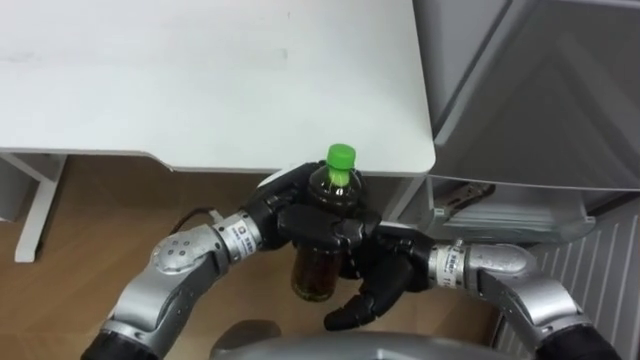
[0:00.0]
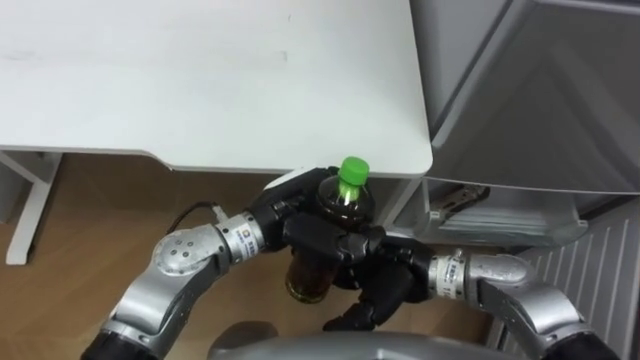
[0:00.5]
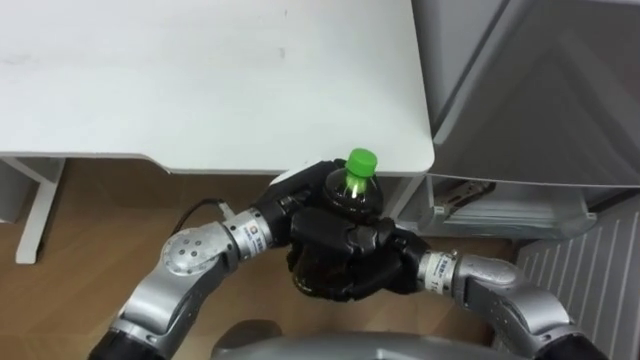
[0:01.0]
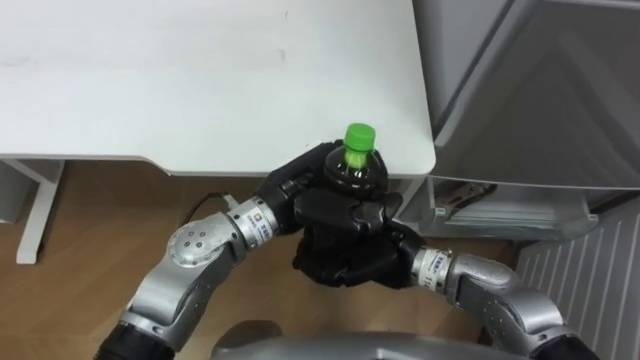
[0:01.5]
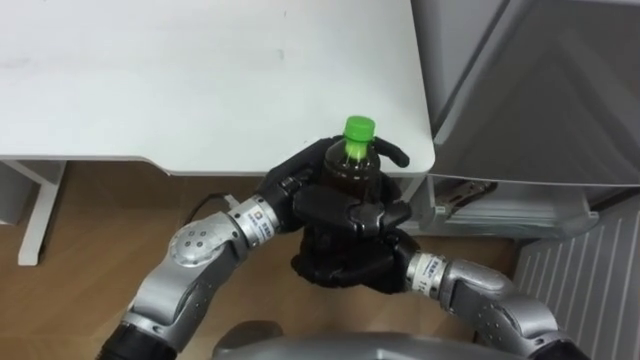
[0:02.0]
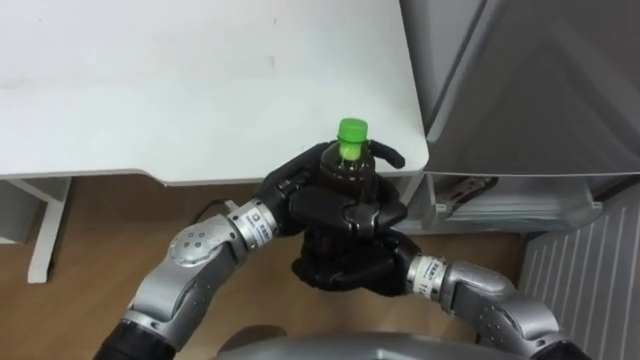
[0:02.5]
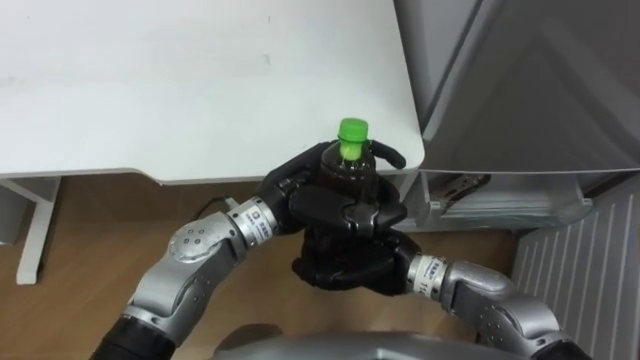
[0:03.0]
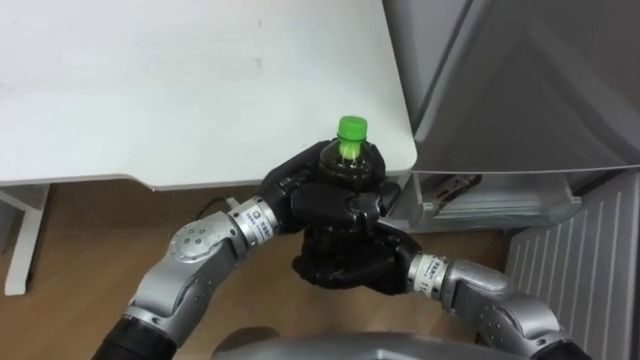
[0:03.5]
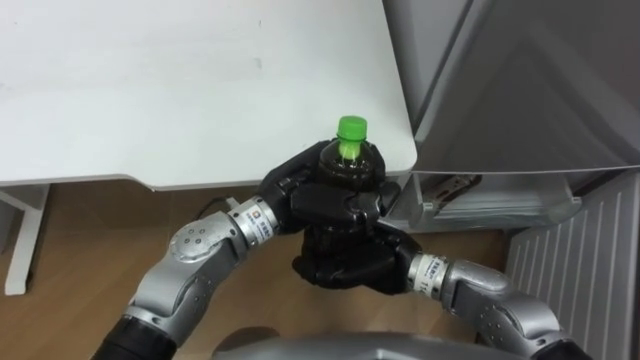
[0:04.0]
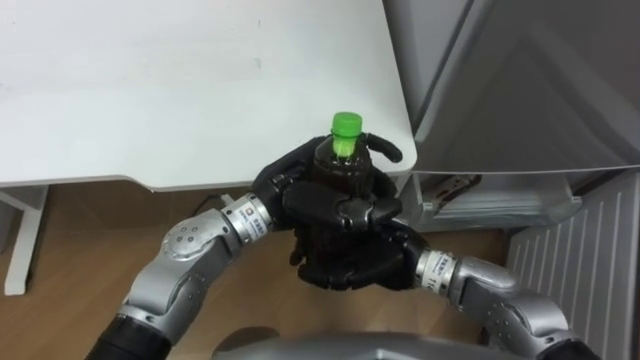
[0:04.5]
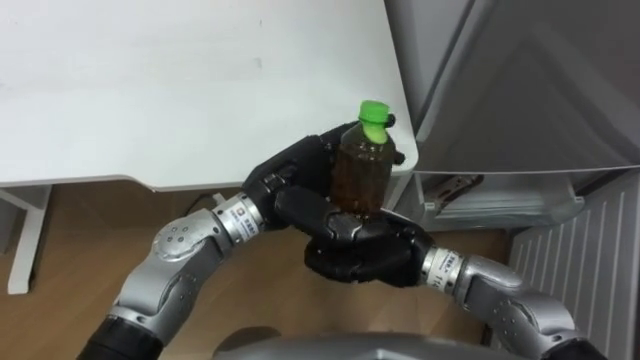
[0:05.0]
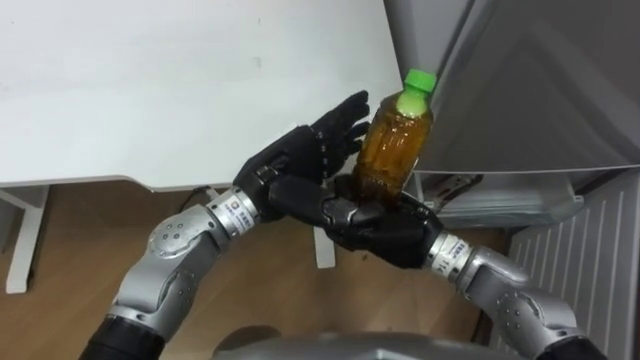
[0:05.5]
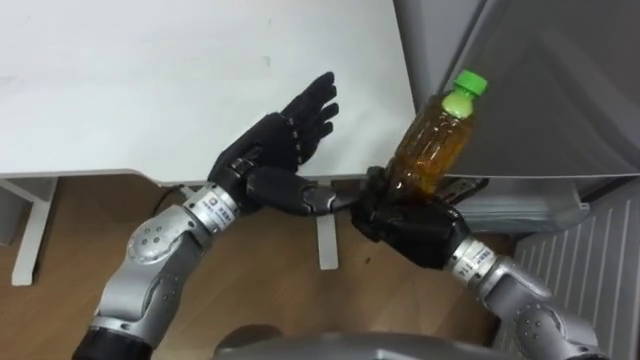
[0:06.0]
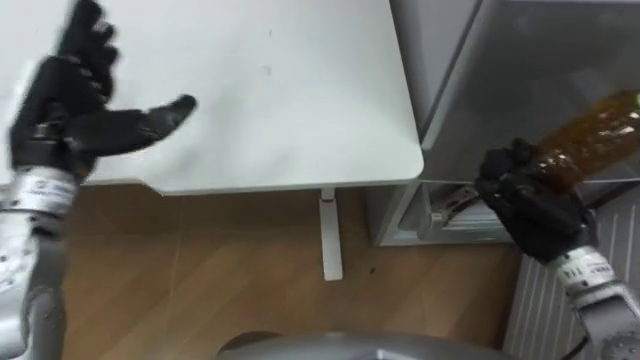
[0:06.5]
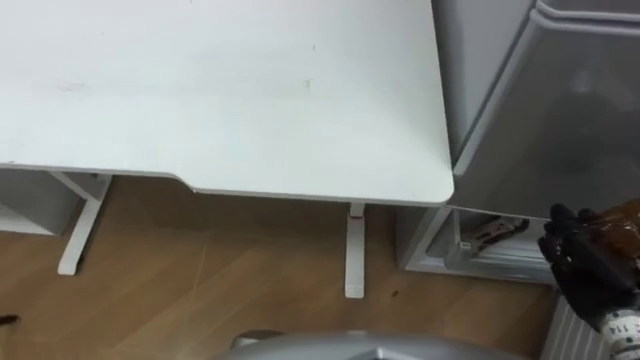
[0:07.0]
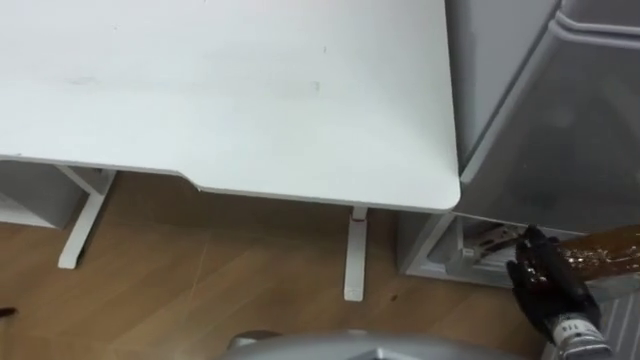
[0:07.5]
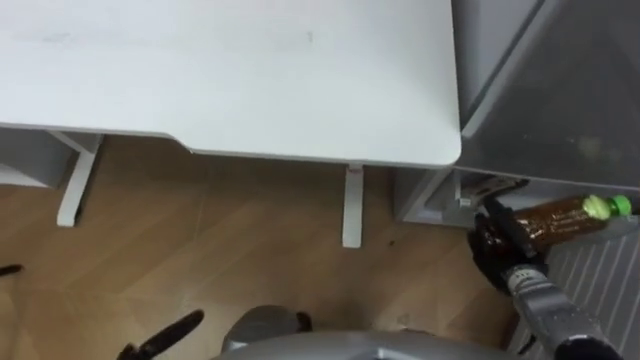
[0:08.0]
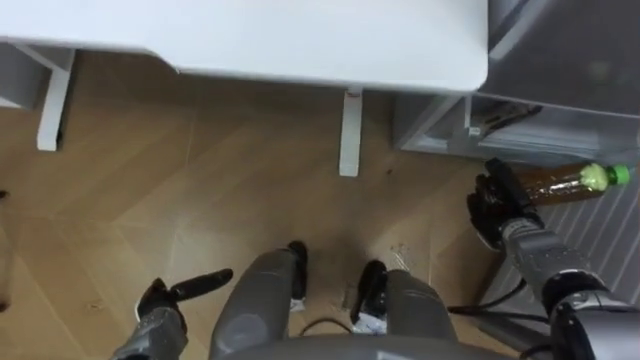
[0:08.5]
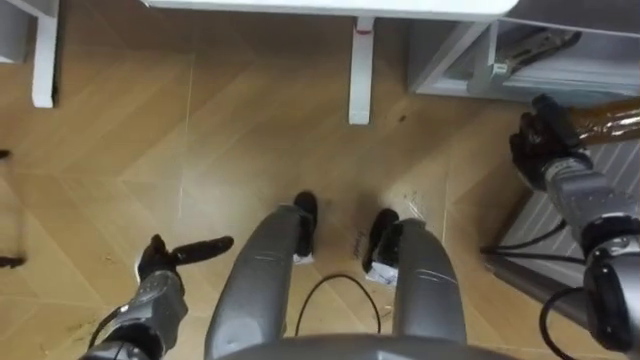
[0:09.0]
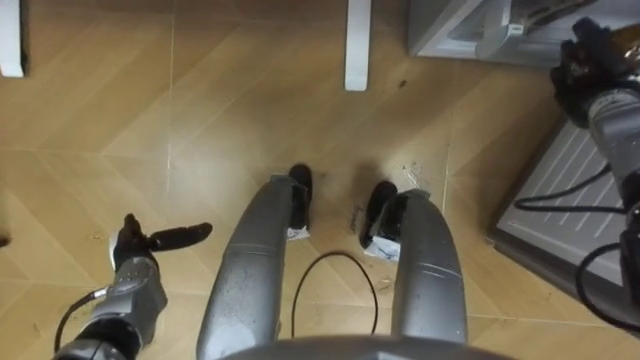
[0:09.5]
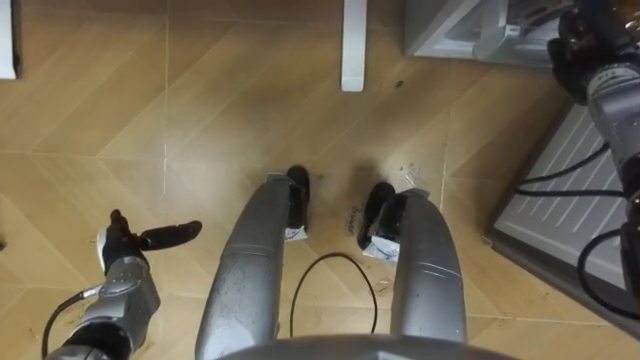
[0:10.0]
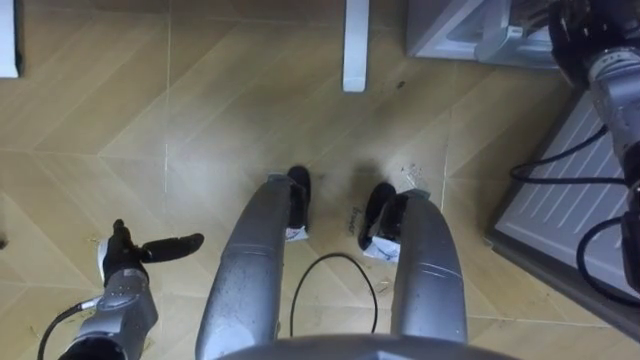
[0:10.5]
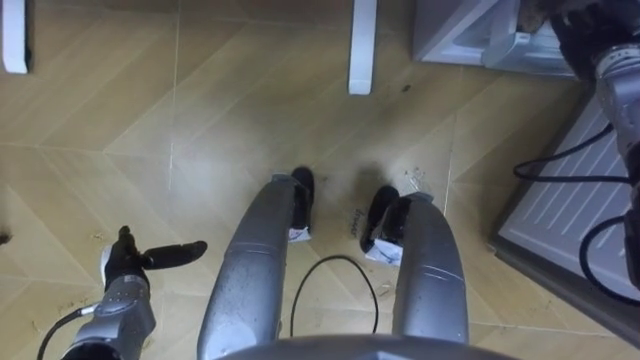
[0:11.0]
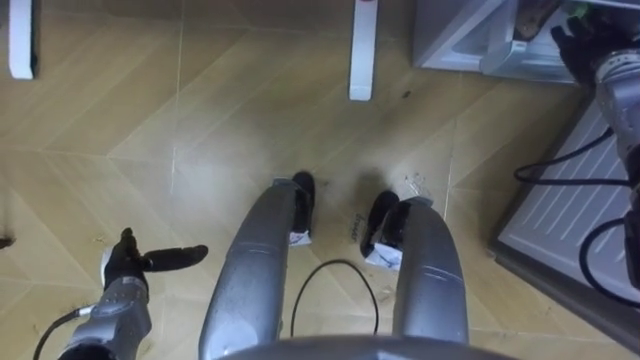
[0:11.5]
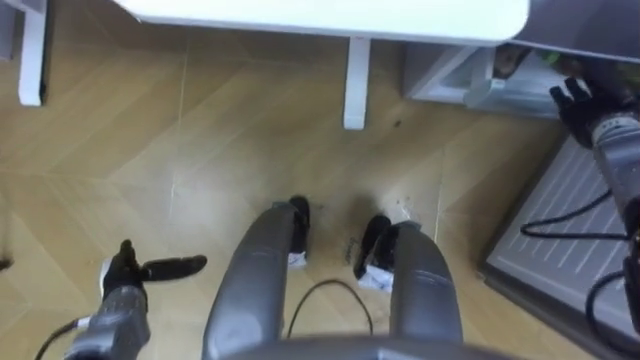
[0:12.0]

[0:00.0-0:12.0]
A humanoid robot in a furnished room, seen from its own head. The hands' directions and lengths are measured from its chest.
Task of the whole recording: Place the drink on the table on the bottom shelf of the refrigerator, then close the drawer and the refrigerator door.
0:00.0 to 0:02.0: The right hand closes.
0:04.0 to 0:06.0: The right hand moves to the right, some 5 cm. The left hand goes some 5 cm to the left, and opens up.
0:06.0 to 0:08.0: The right hand is displaced to the right and downward by some 20 cm.
0:08.0 to 0:10.0: The right hand heads forward and upward, covering about 30 cm.
0:10.0 to 0:12.0: The right hand moves approximately 5 cm, and opens its fingers.

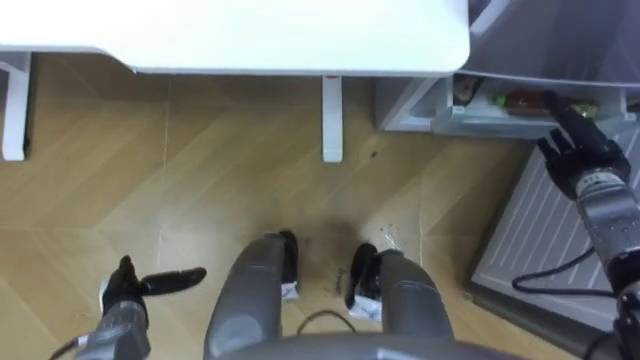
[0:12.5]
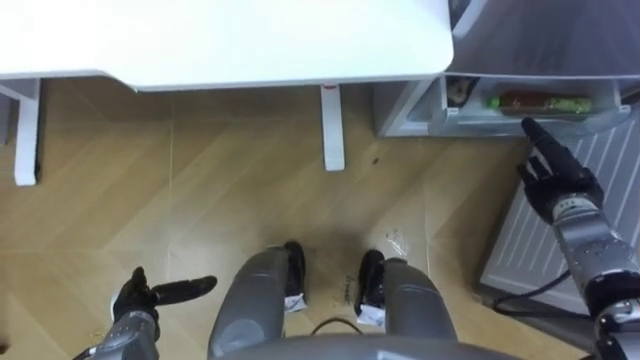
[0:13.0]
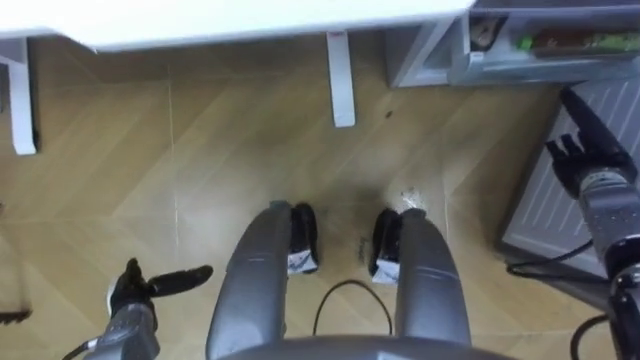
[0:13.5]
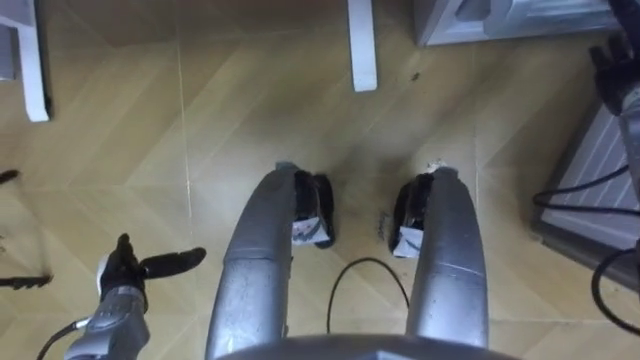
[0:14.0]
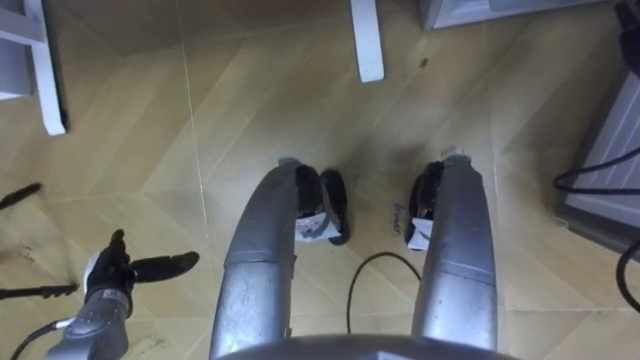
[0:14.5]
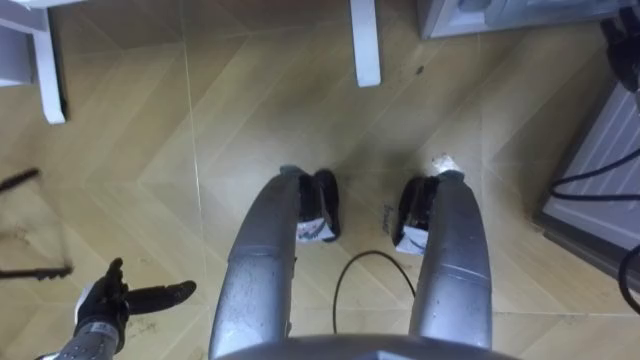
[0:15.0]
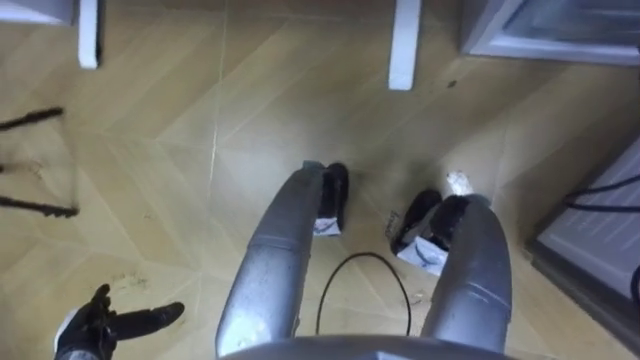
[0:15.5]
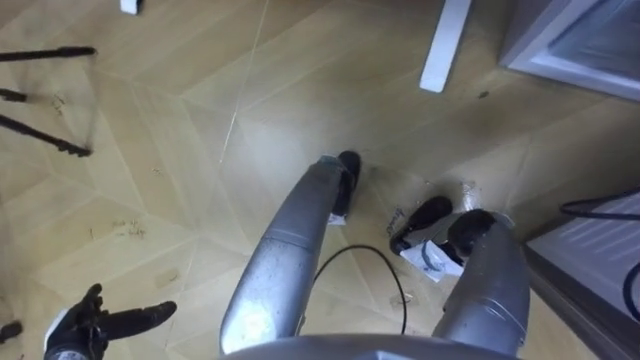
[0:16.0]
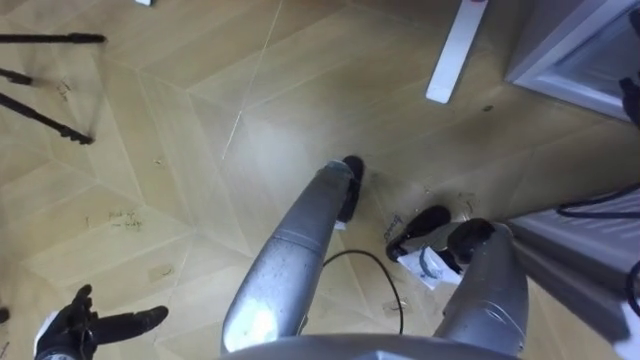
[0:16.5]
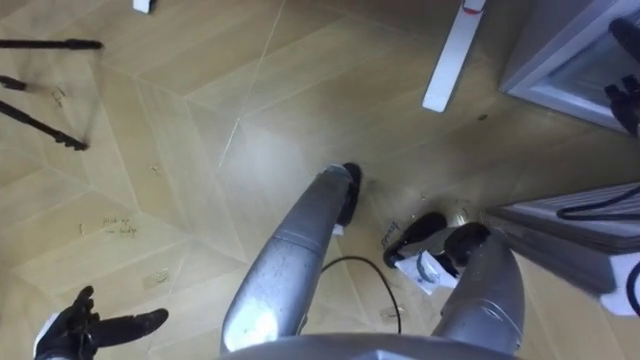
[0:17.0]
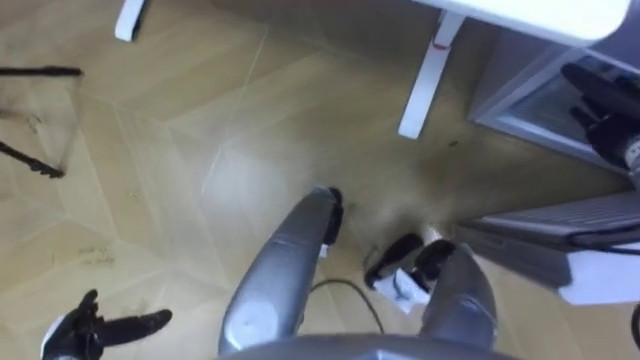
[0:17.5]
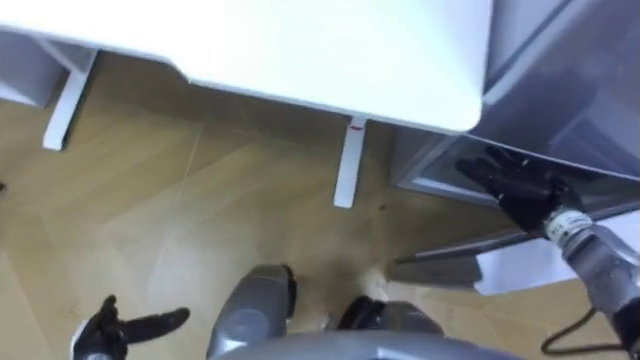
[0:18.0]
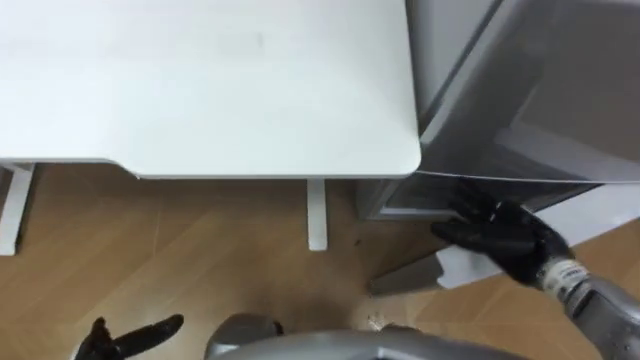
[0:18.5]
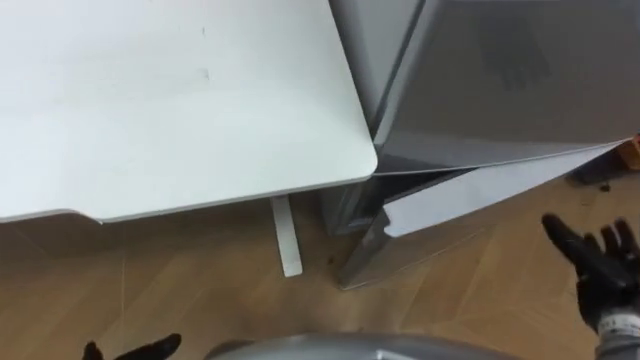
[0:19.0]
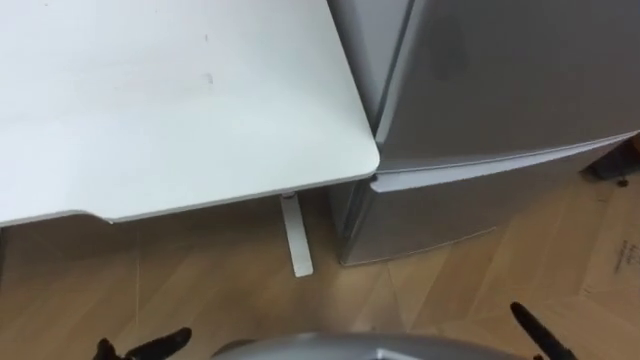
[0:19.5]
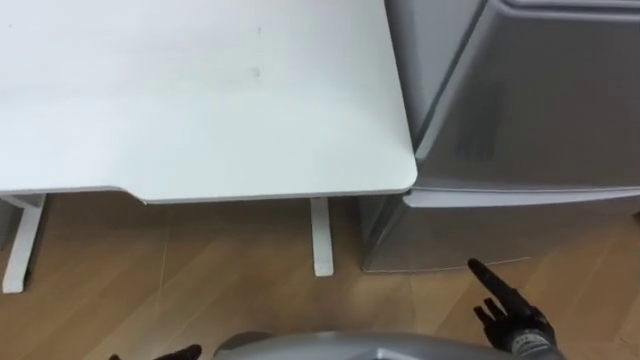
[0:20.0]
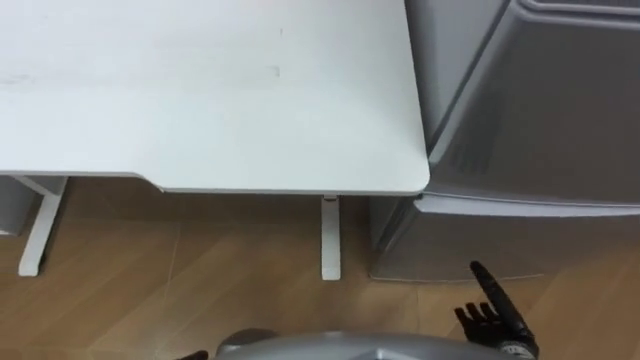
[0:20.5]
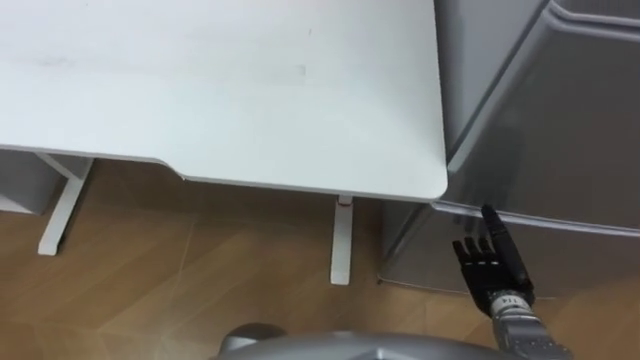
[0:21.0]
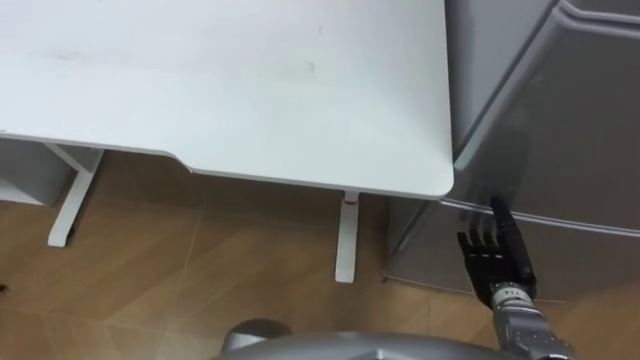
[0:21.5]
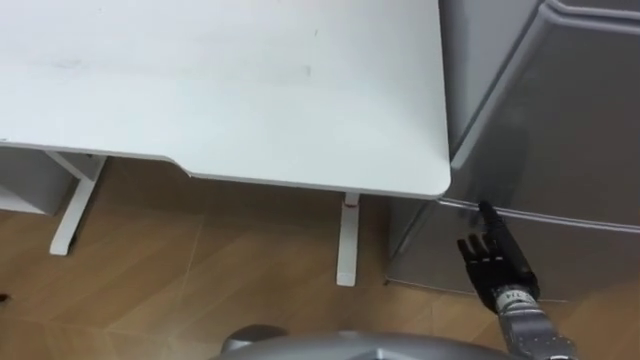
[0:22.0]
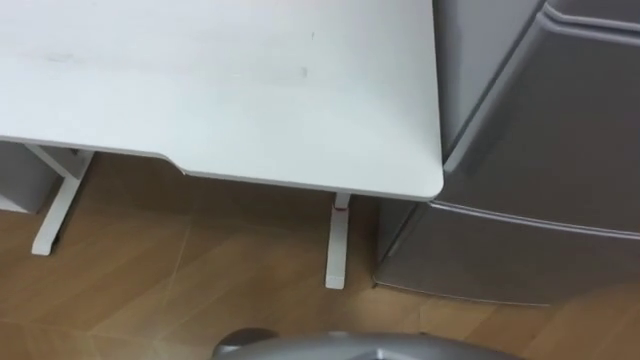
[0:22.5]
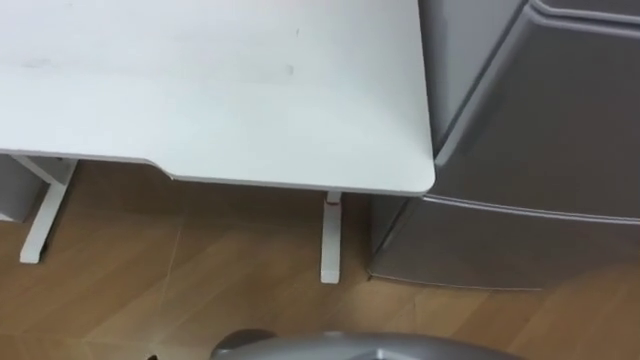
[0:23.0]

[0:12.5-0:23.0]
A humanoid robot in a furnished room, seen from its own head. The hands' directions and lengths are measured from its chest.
Task of the whole recording: Place the drink on the table on the bottom shelf of the refrigerator, then close the drawer and the refrigerator door.
0:14.5 to 0:16.5: The left hand goes roughly 10 cm backward.
